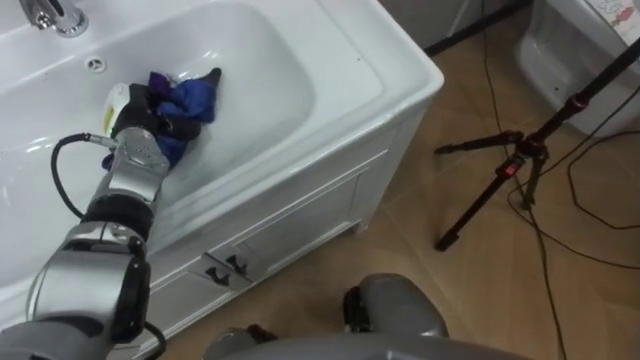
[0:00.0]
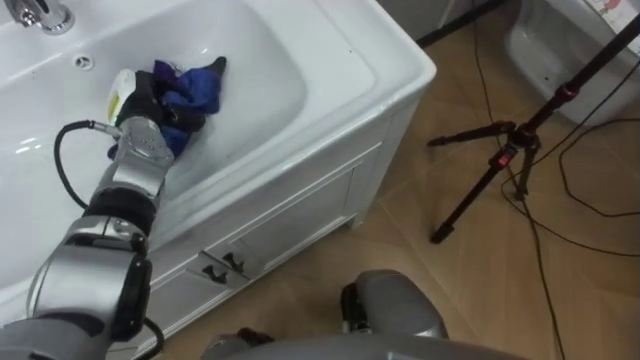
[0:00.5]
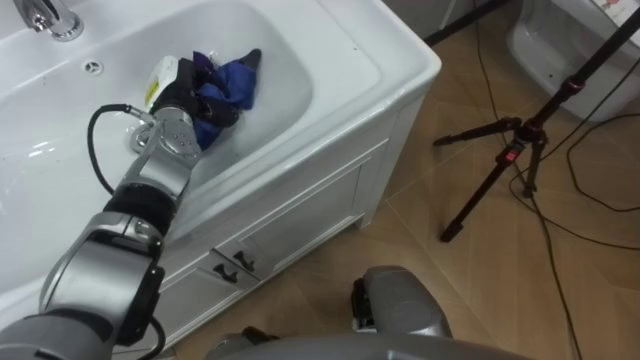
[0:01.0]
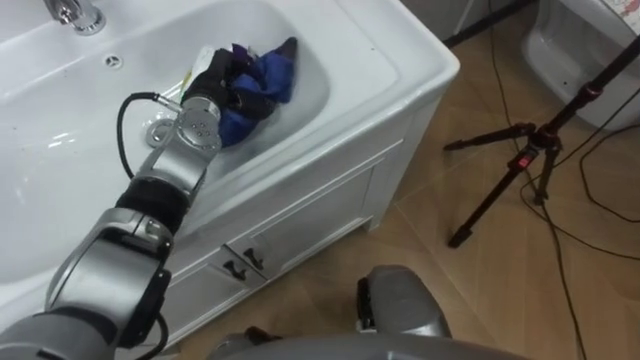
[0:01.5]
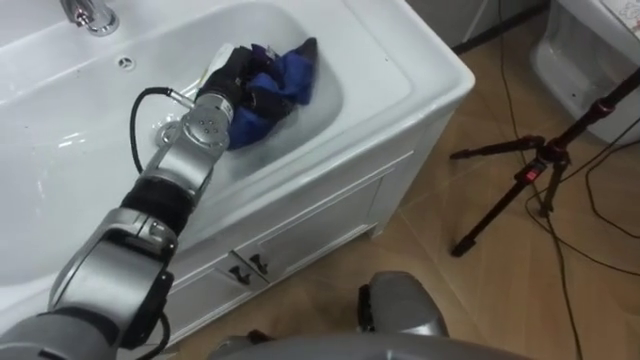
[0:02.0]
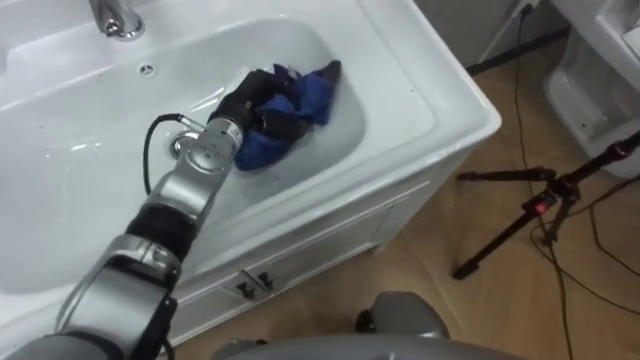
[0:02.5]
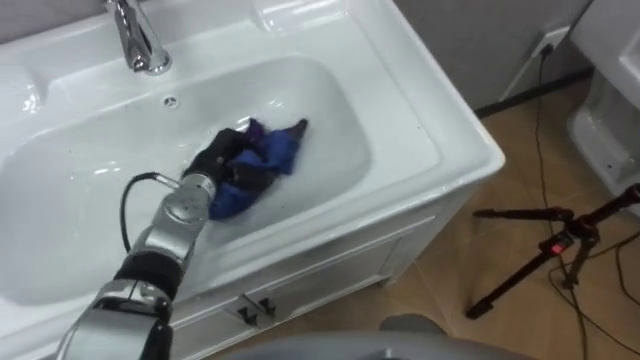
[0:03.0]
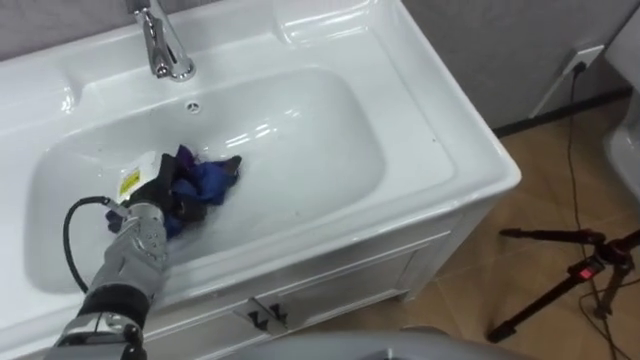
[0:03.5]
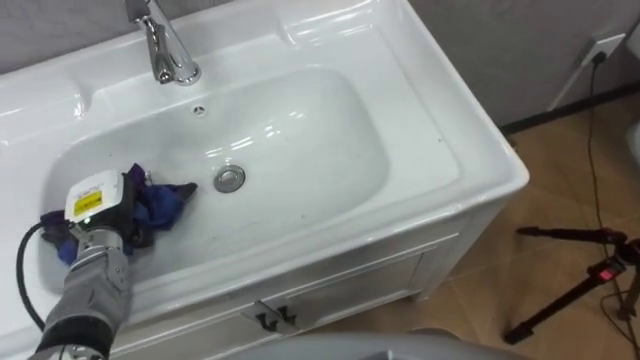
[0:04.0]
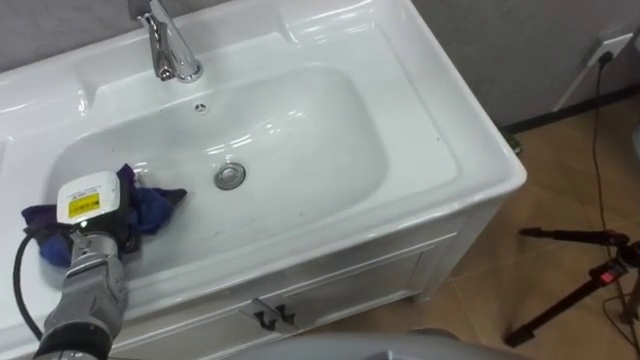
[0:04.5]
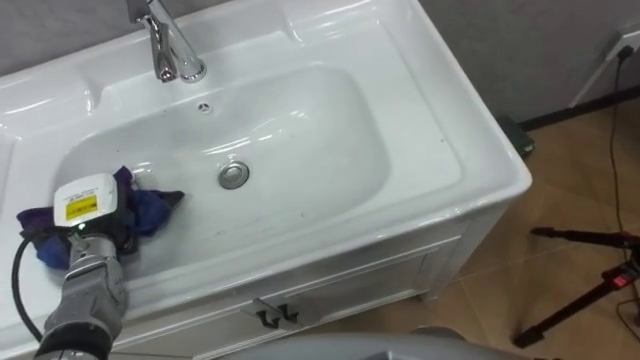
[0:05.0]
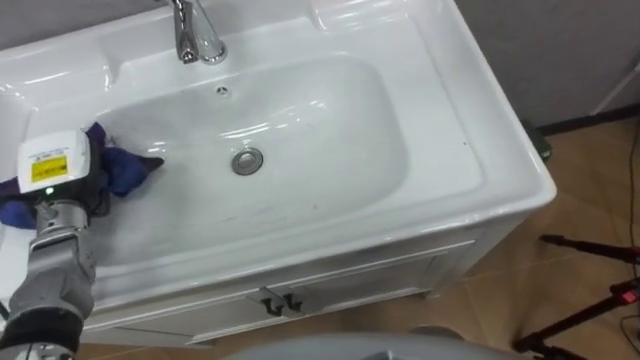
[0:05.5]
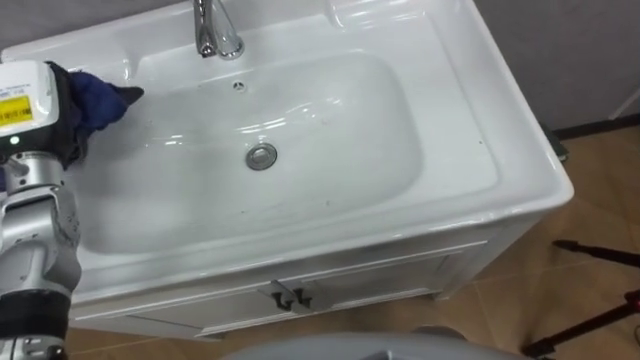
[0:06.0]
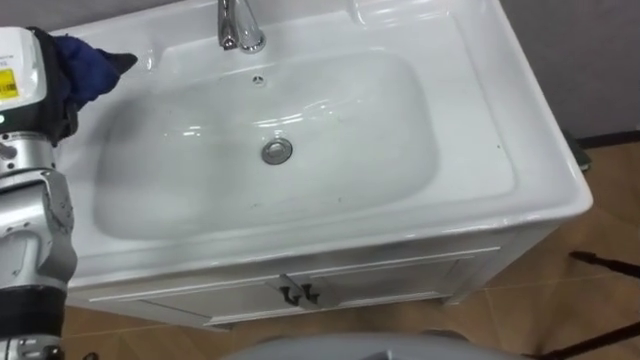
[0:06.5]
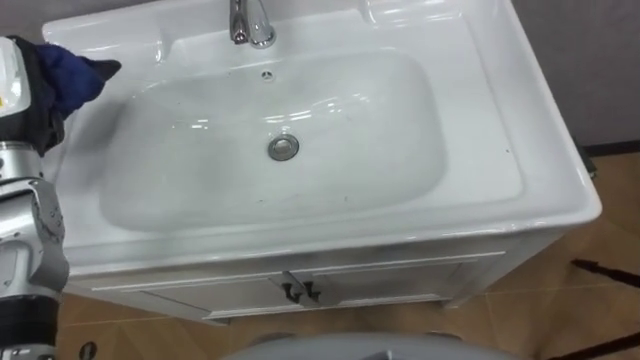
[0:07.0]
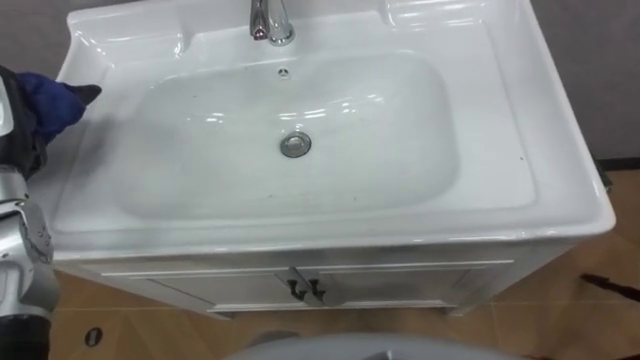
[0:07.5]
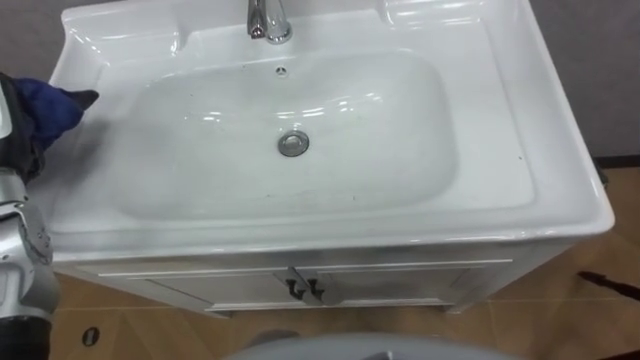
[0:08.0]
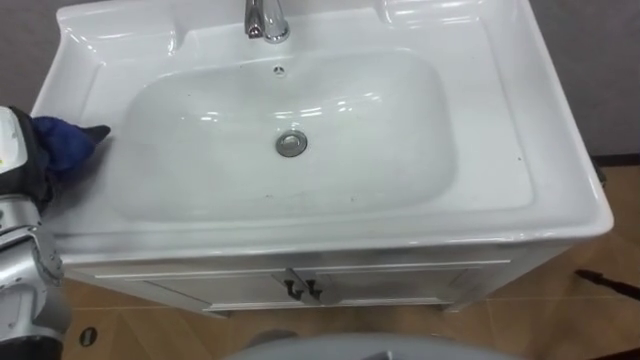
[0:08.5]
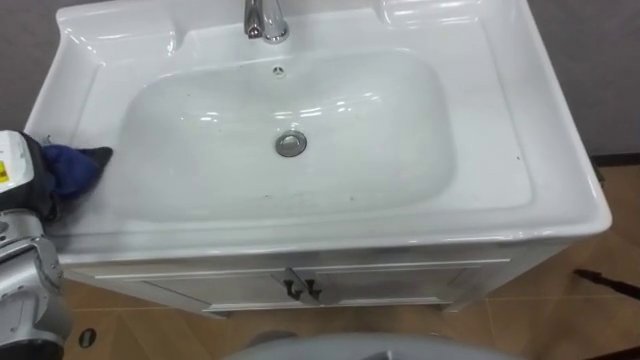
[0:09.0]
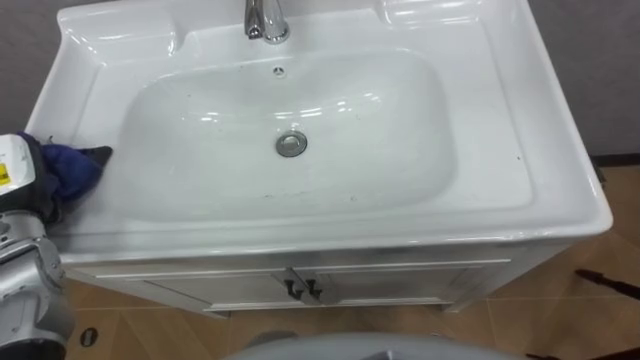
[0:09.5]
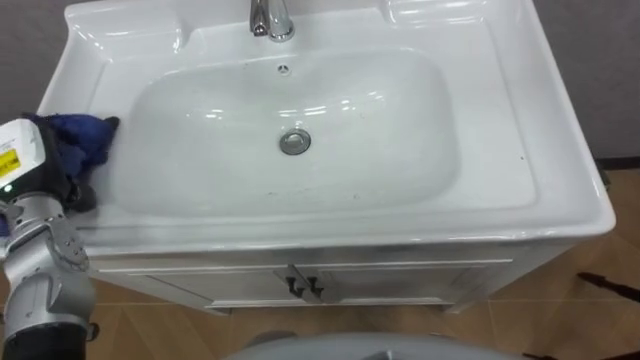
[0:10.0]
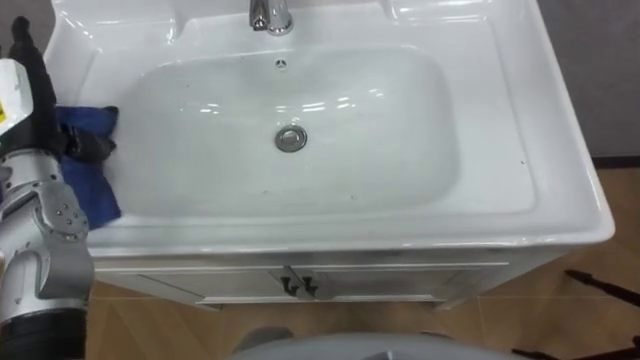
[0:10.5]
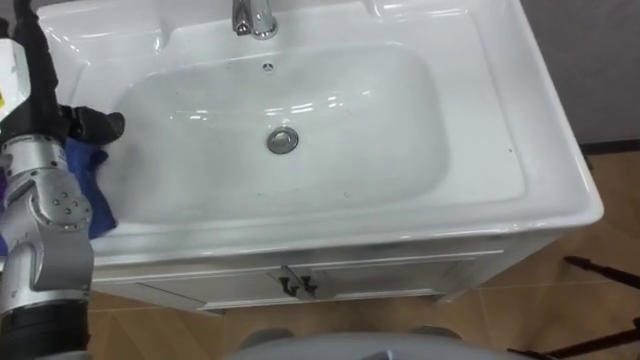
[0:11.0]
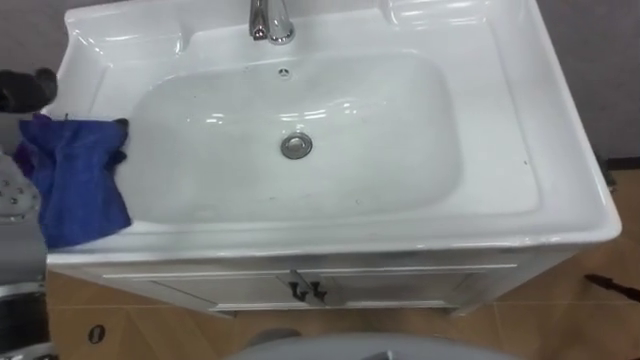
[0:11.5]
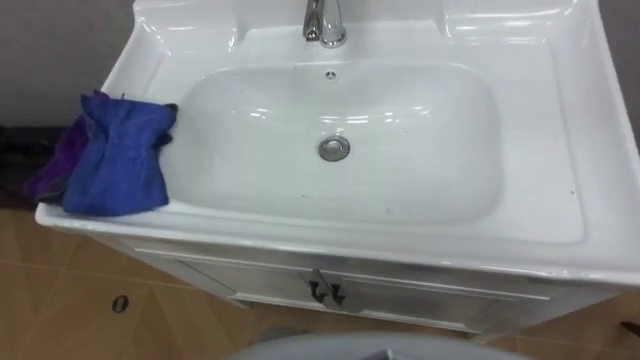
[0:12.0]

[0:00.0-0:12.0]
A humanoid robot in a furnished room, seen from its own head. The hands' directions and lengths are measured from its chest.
Task of the whole recording: Use the cloth on the right to wipe away the black stain in the sink.
0:00.0 to 0:02.0: The left hand heads to the right, covering about 15 cm.
0:02.0 to 0:04.0: The left hand travels to the left, backward and downward by roughly 25 cm.
0:04.0 to 0:06.0: The left hand moves upward, approximately 15 cm.

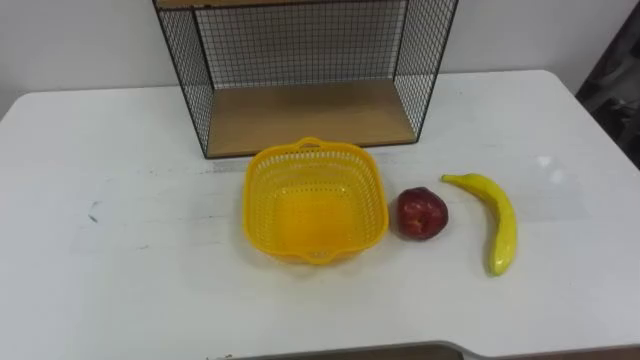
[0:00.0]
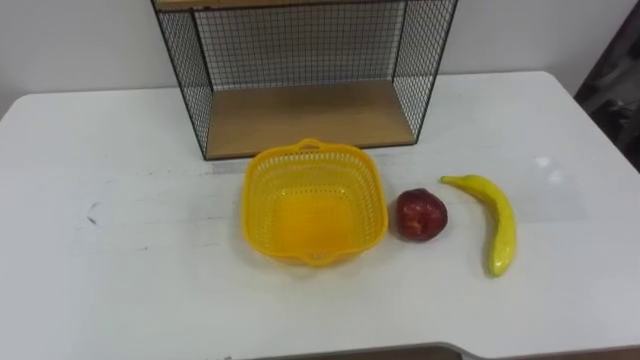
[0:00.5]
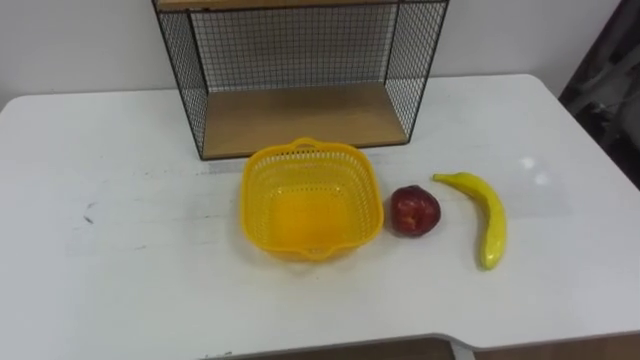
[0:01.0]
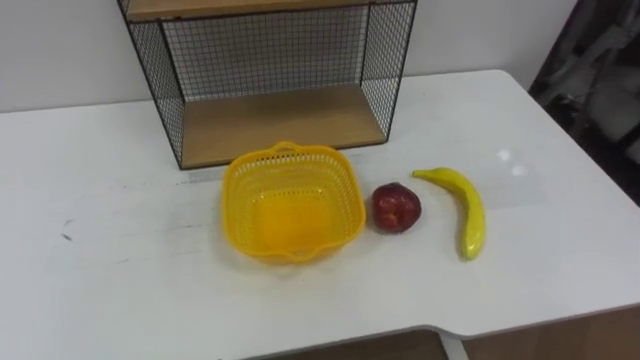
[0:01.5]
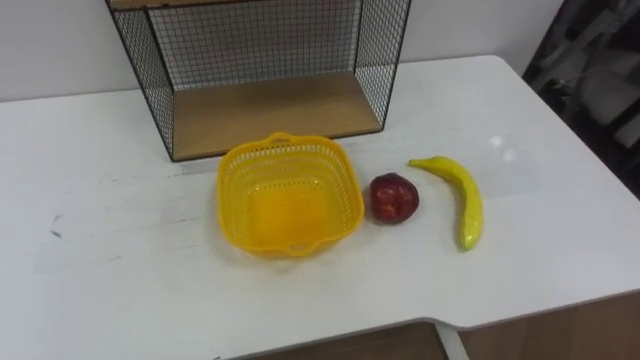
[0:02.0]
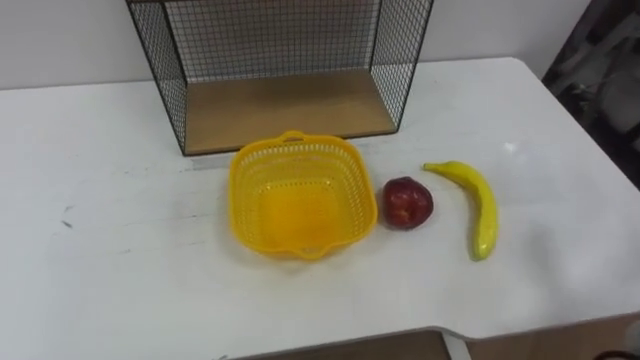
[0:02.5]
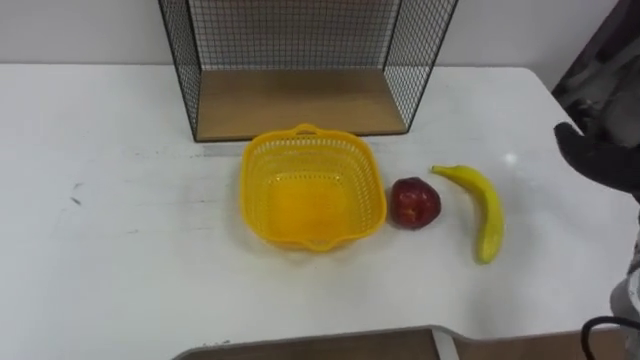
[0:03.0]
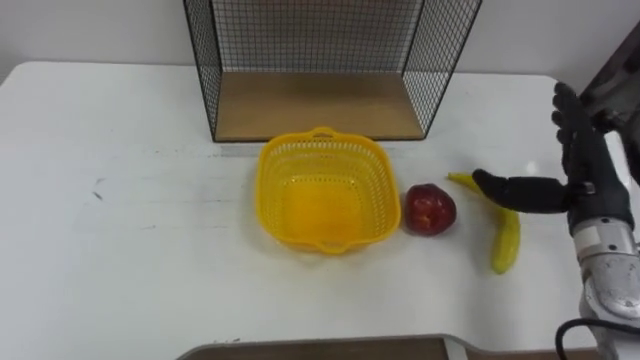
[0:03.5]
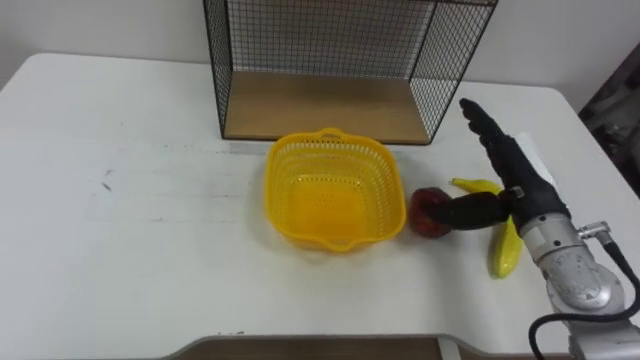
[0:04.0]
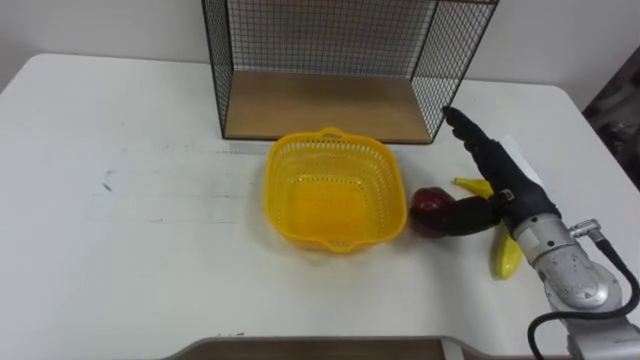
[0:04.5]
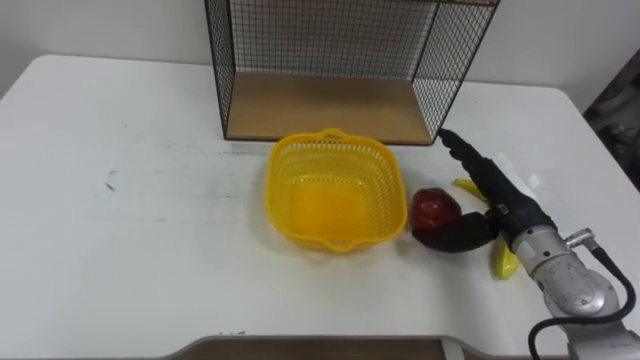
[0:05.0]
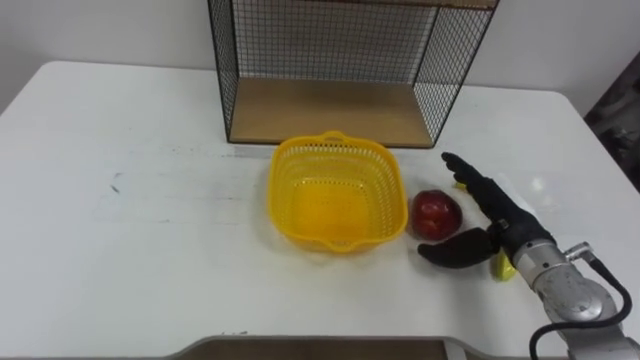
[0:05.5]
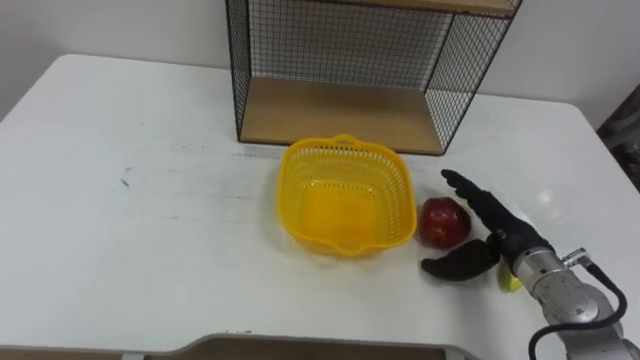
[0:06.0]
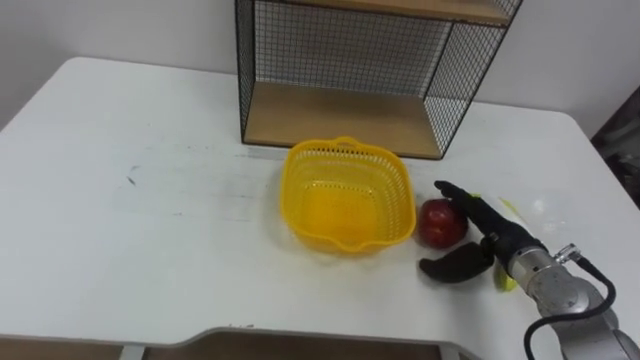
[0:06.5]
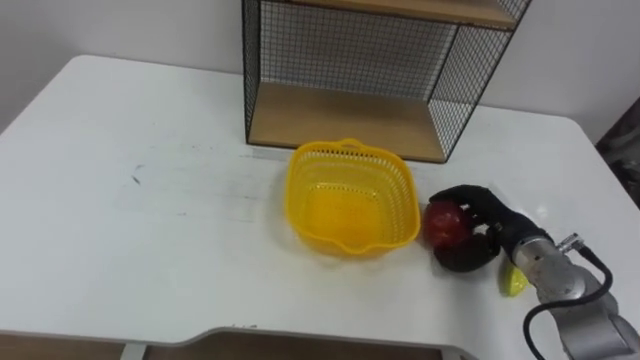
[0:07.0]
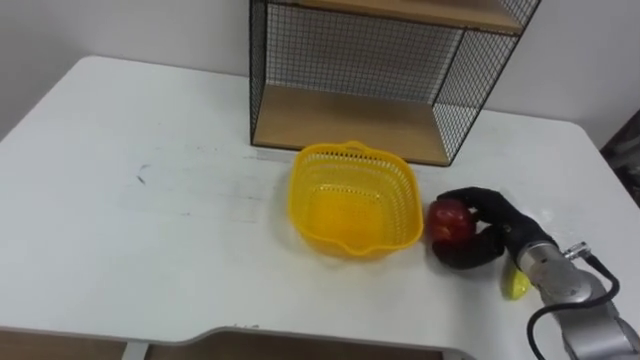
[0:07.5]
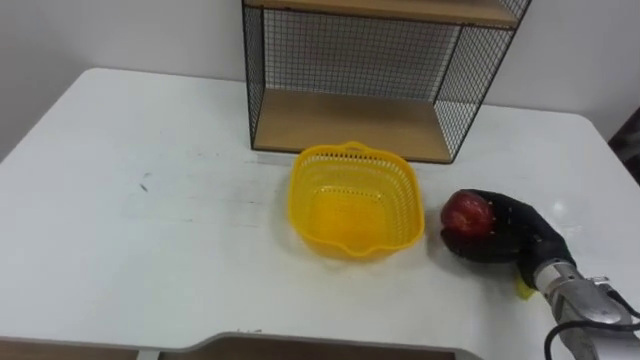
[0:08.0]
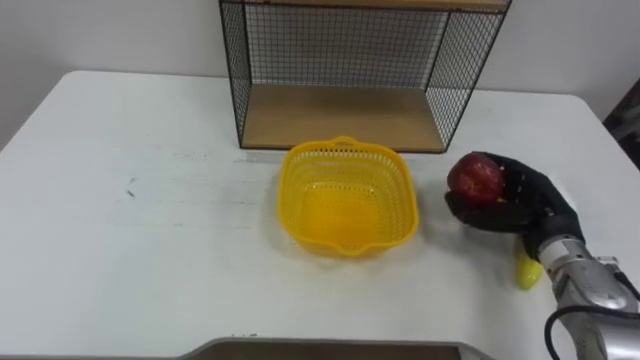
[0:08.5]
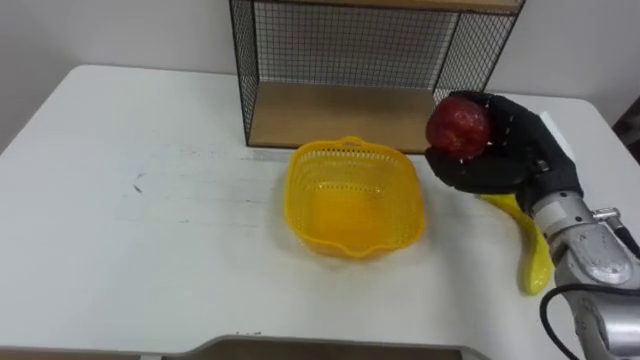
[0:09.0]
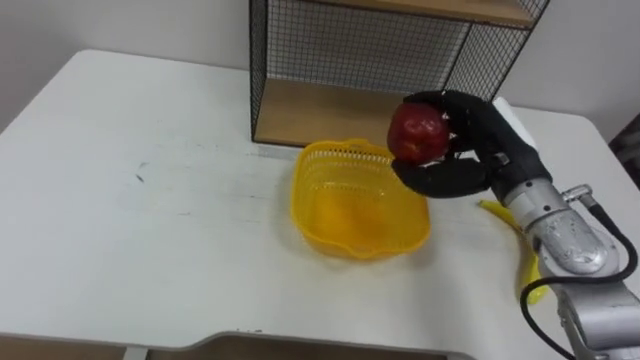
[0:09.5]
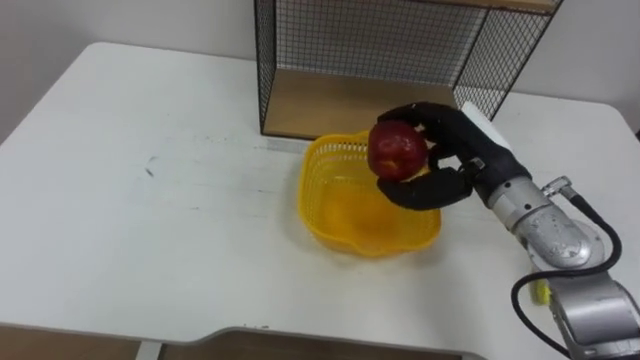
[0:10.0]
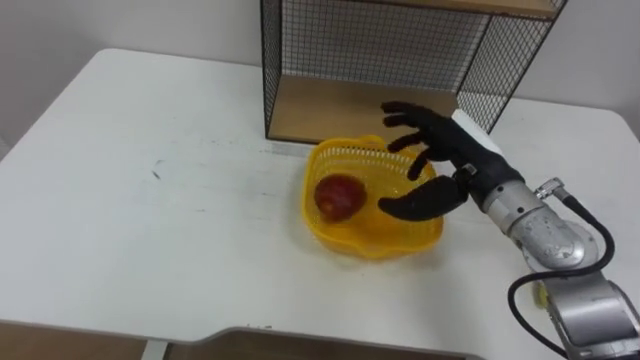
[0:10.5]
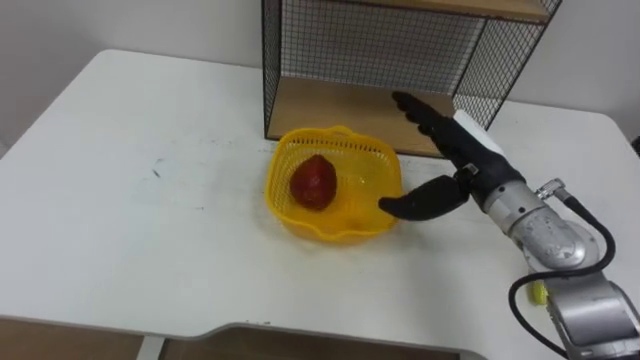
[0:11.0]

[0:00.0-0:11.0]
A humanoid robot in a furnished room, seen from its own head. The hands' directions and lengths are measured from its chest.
Task of the whole recording: Put the fruit on the table into the basket, then place the basket on the shelf.
0:03.5 to 0:05.5: The right hand is displaced downward and to the left by approximately 10 cm.
0:05.5 to 0:07.5: The right hand closes.
0:07.5 to 0:09.0: The right hand goes about 10 cm upward.
0:09.0 to 0:11.0: The right hand is displaced to the left by approximately 5 cm, and opens its fingers.
